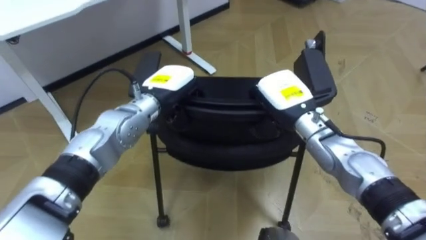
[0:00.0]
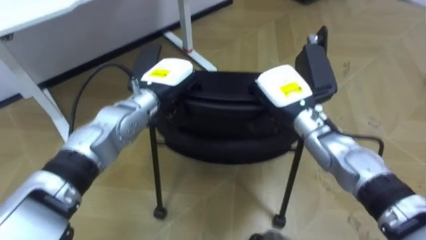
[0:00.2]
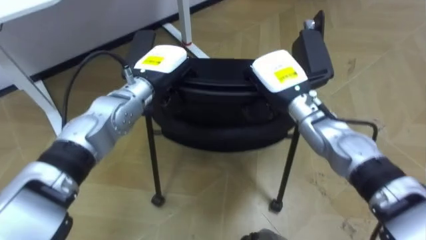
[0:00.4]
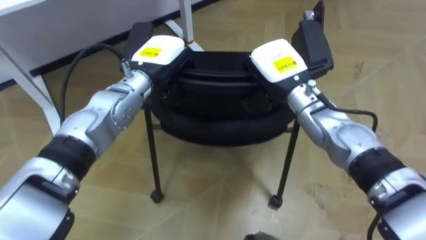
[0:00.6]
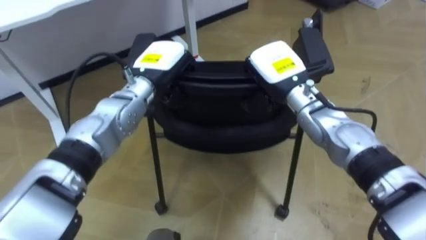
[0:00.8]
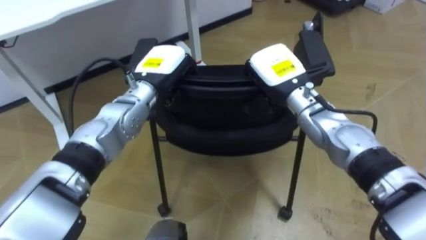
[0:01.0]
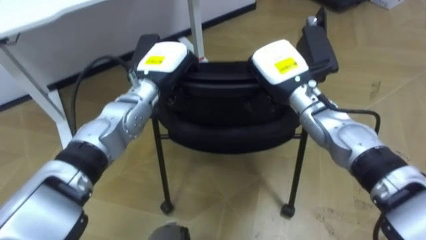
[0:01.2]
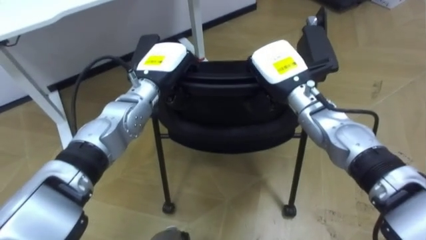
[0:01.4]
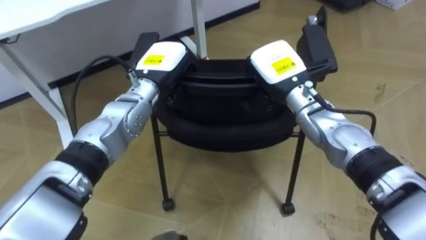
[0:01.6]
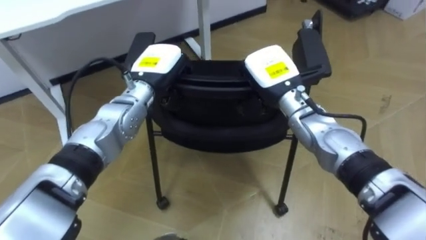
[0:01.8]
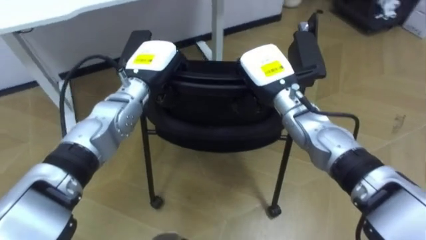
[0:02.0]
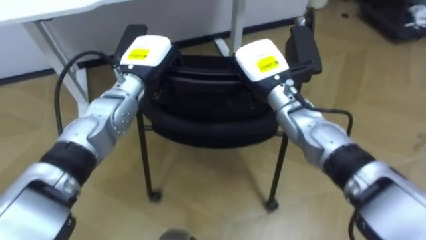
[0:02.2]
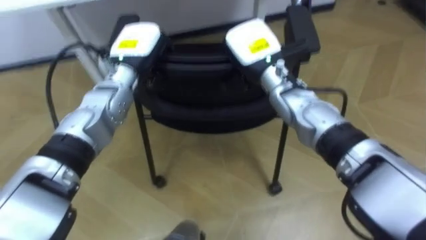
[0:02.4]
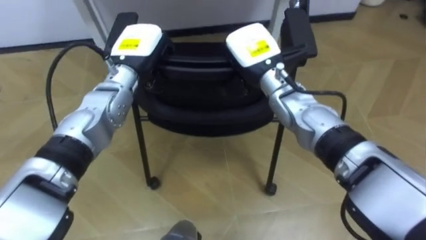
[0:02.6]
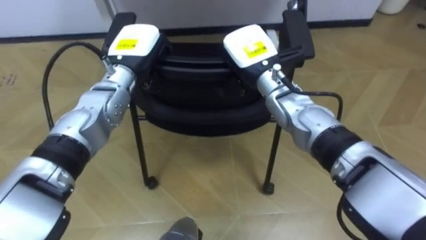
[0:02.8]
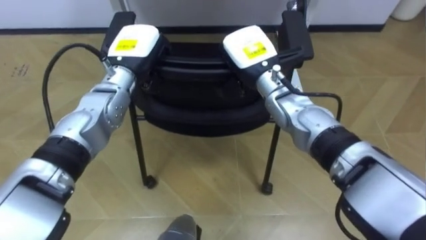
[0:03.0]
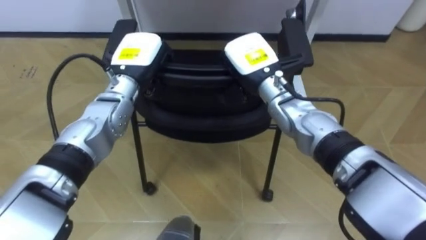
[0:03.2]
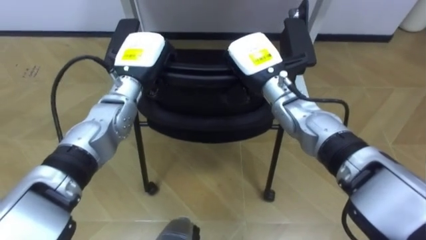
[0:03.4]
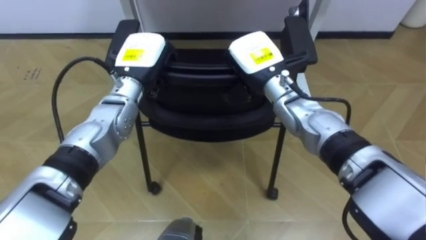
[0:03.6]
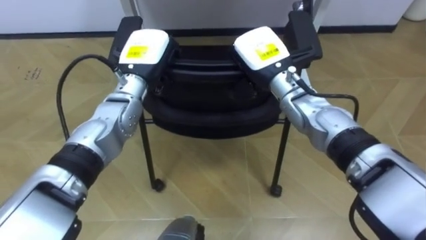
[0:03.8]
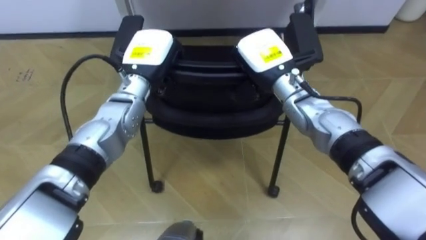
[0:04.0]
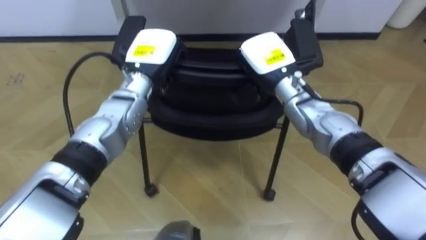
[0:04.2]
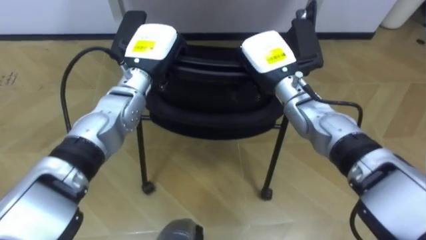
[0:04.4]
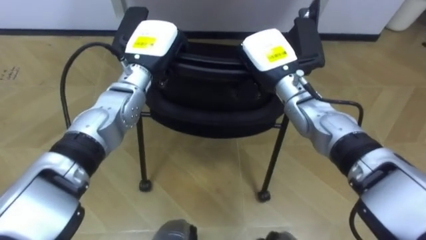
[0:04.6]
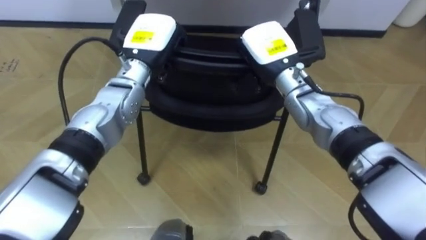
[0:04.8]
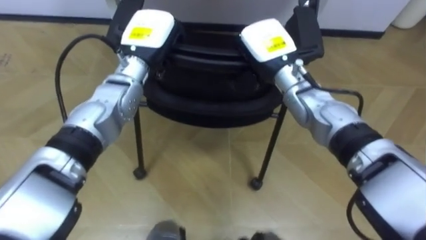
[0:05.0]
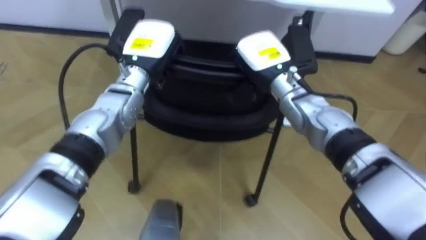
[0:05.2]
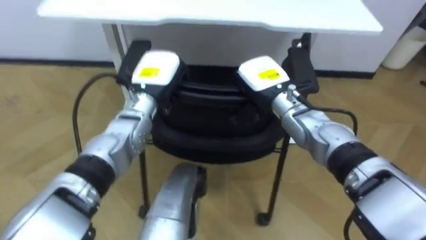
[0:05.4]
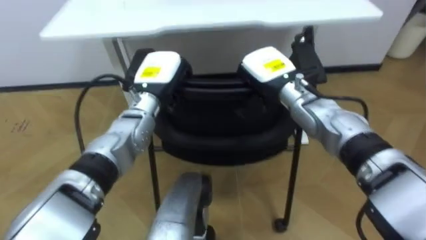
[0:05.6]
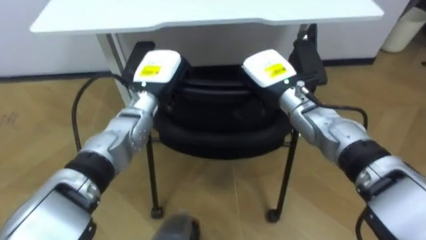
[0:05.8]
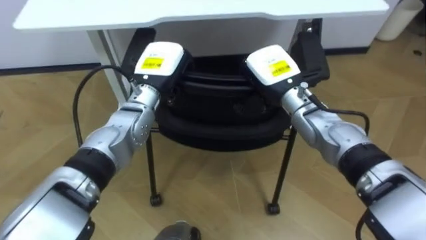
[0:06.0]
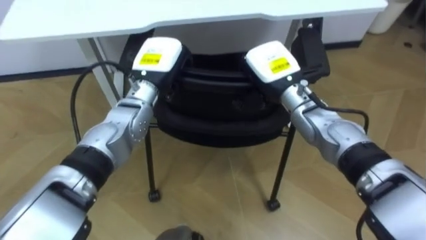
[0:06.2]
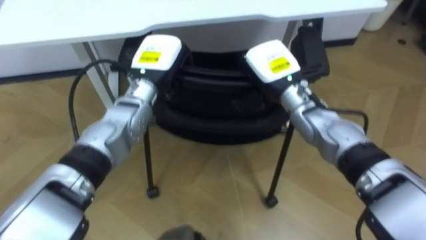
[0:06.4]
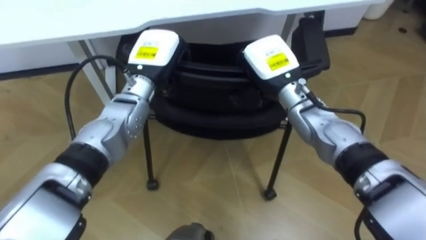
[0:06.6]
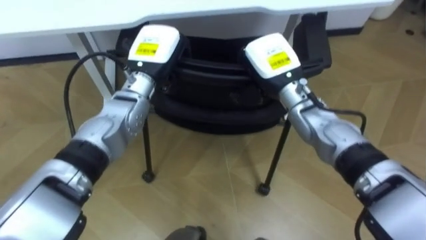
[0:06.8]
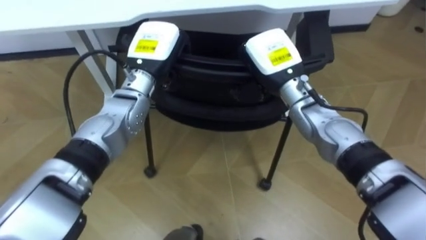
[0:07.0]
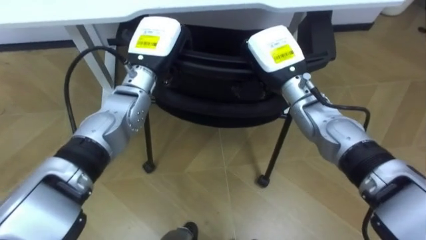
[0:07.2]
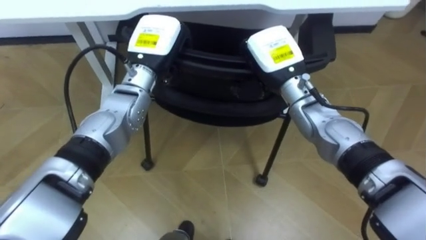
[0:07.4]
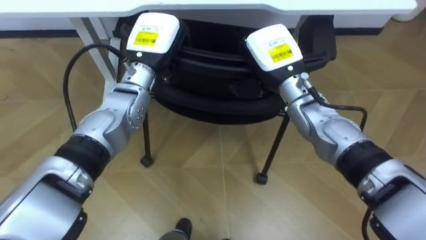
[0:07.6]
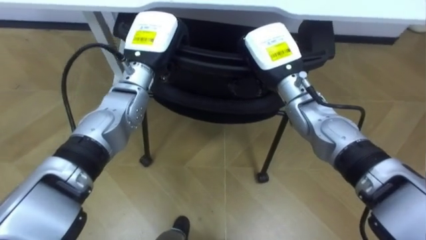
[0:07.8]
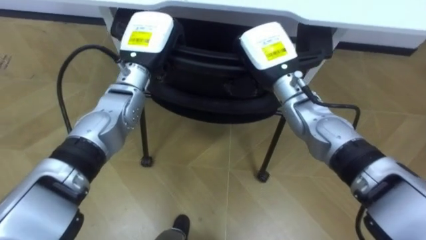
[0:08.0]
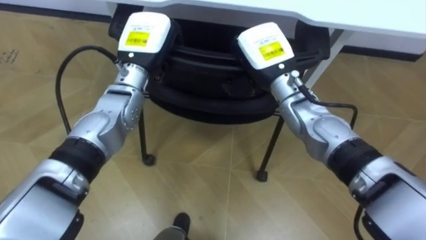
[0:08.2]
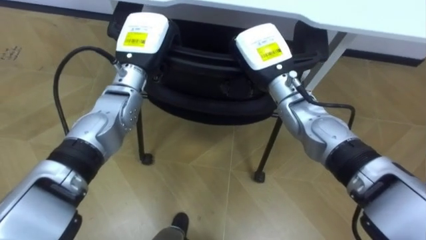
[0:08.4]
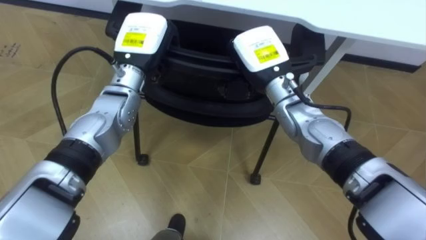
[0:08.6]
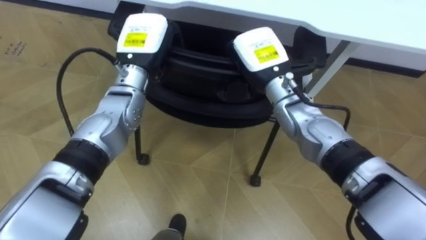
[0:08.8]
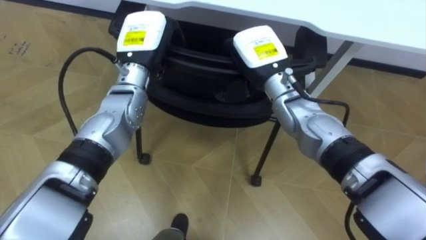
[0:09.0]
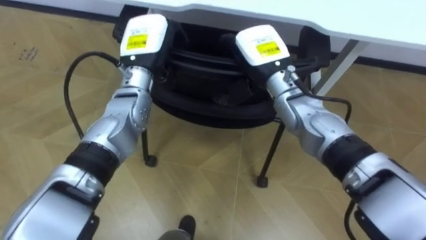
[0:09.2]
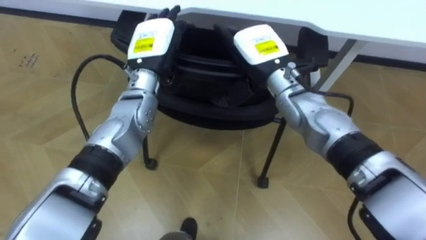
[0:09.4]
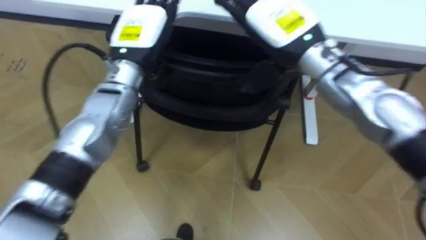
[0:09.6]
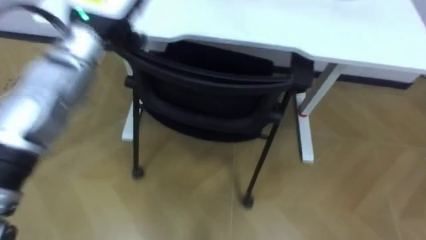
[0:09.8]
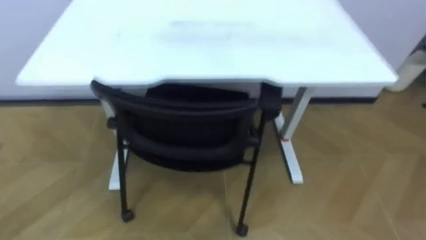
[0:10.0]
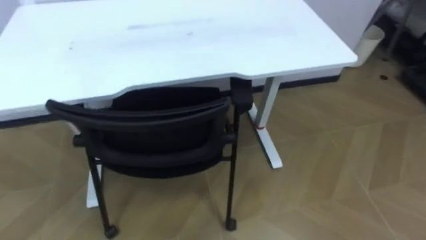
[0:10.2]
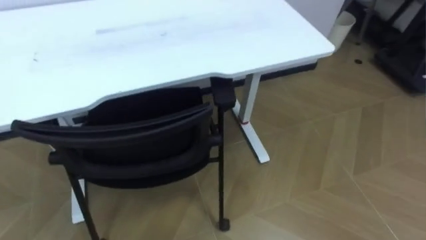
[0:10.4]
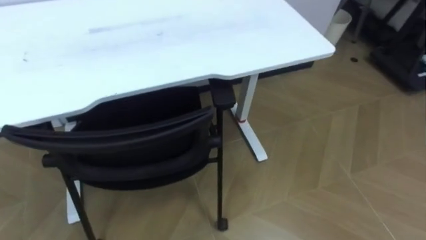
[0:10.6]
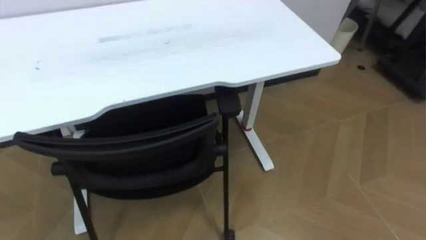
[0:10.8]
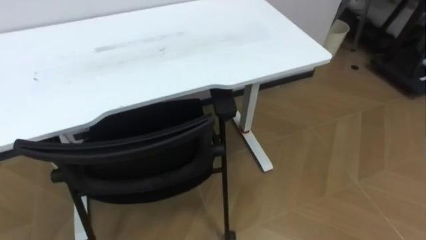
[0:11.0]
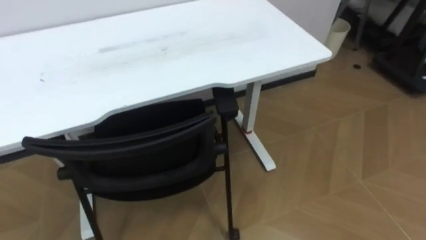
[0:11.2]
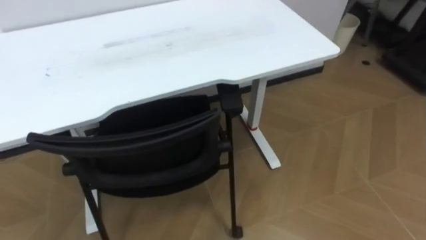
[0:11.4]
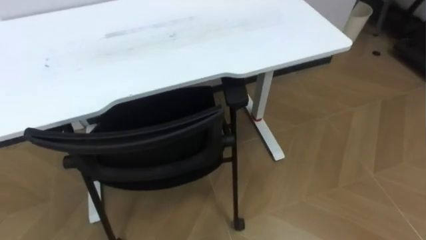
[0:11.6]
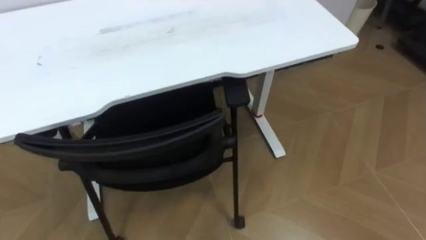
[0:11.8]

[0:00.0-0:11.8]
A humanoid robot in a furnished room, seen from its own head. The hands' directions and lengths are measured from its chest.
Task of the whole recording: Push the chair under the table.
0:00.0 to 0:01.4: The right hand shifts by roughly 5 cm.
0:01.4 to 0:03.0: The right hand is displaced to the left by approximately 5 cm, while the left hand shifts by some 5 cm.

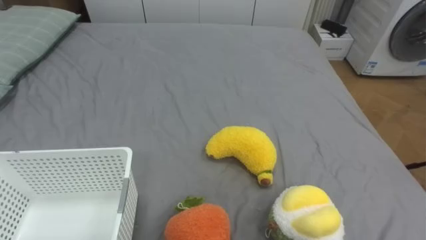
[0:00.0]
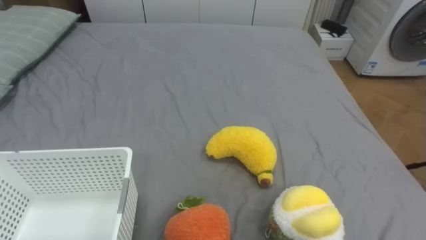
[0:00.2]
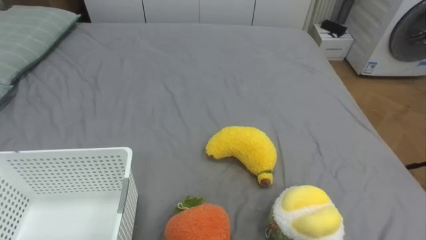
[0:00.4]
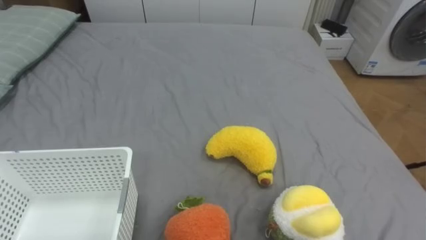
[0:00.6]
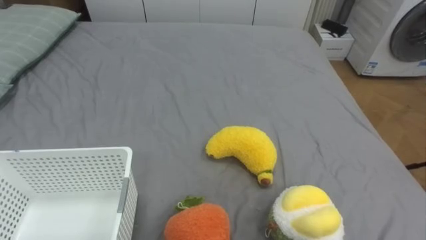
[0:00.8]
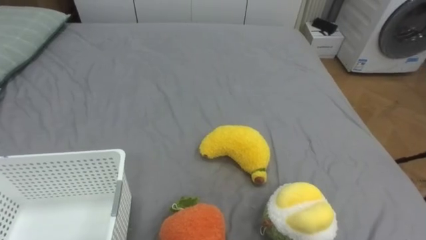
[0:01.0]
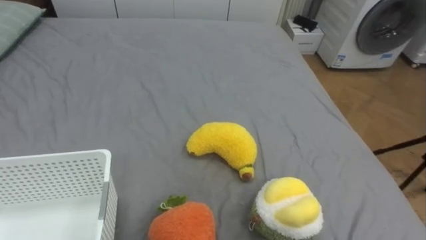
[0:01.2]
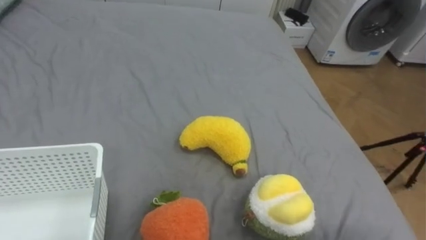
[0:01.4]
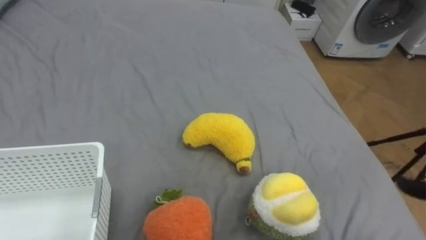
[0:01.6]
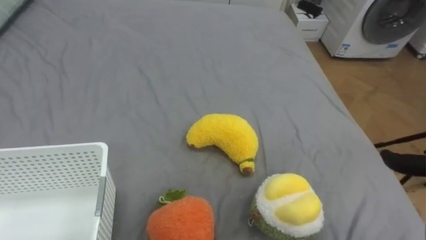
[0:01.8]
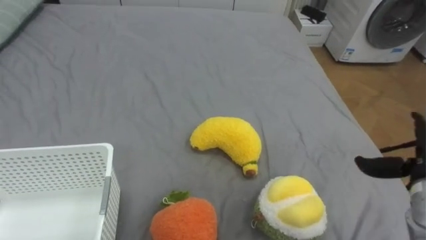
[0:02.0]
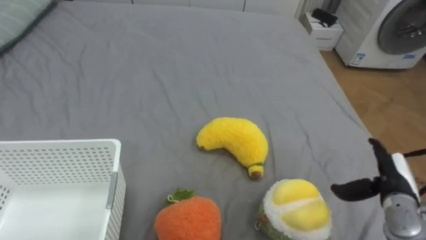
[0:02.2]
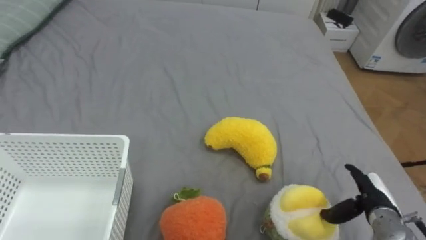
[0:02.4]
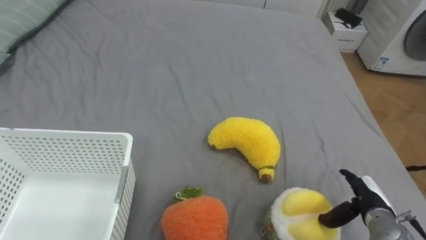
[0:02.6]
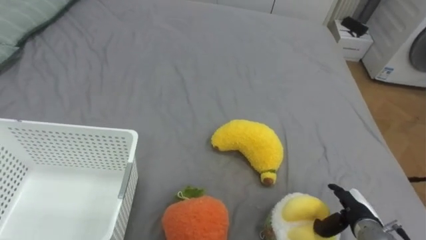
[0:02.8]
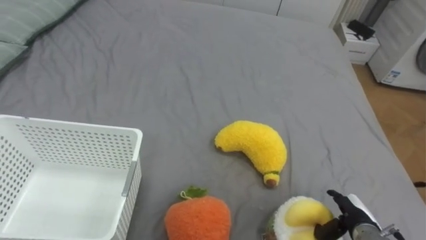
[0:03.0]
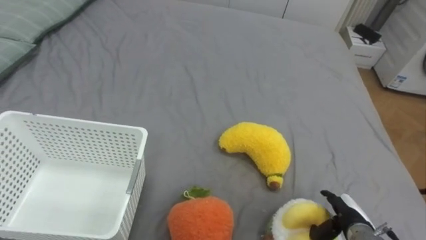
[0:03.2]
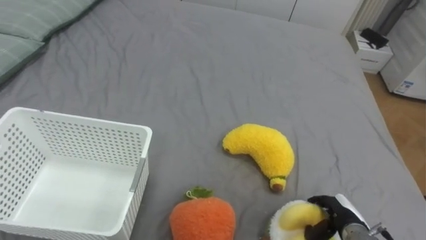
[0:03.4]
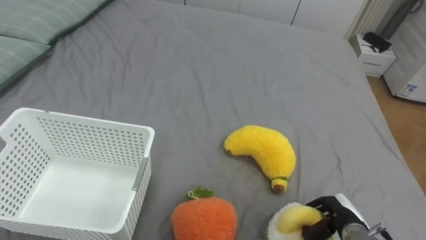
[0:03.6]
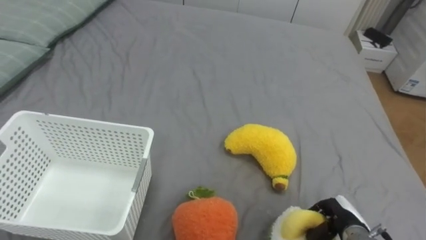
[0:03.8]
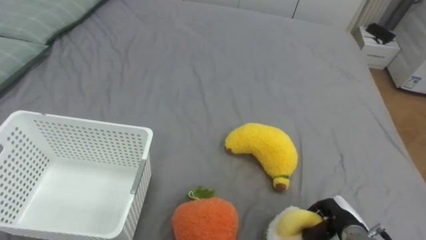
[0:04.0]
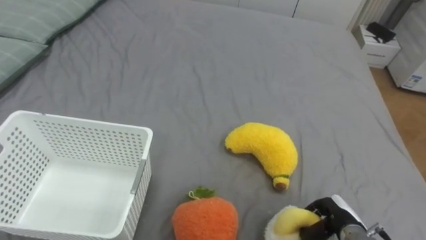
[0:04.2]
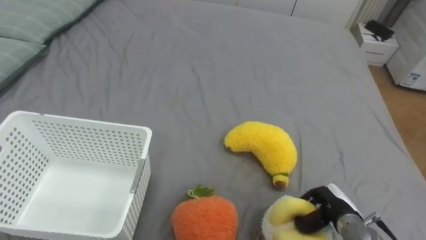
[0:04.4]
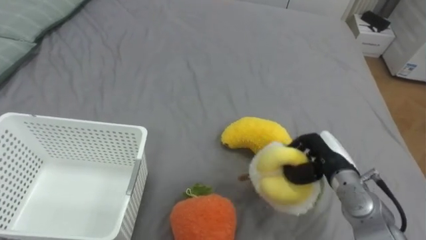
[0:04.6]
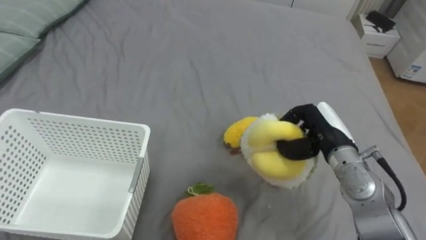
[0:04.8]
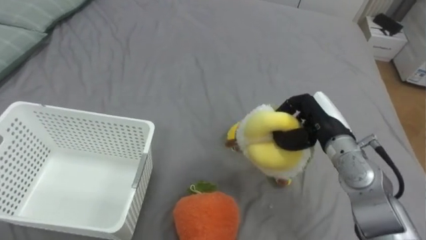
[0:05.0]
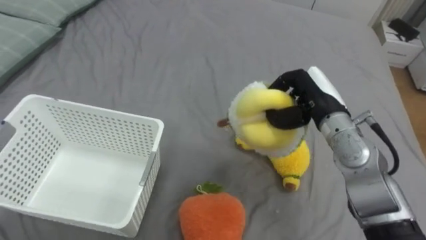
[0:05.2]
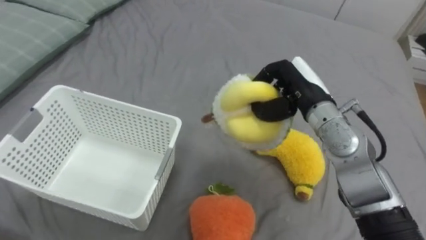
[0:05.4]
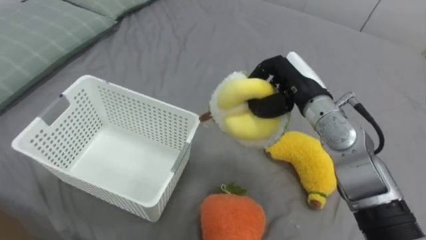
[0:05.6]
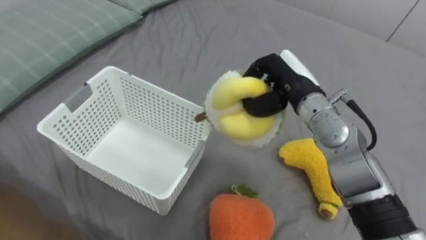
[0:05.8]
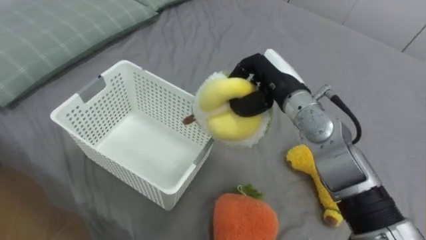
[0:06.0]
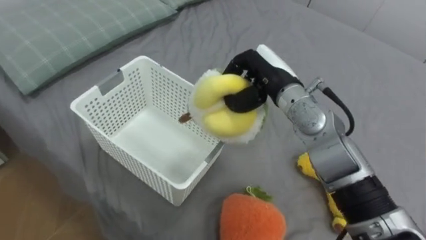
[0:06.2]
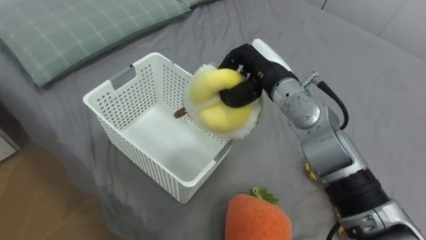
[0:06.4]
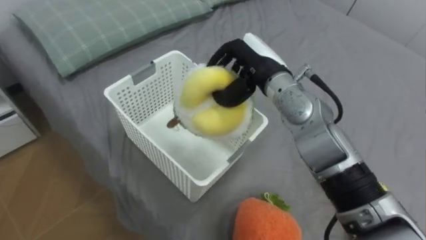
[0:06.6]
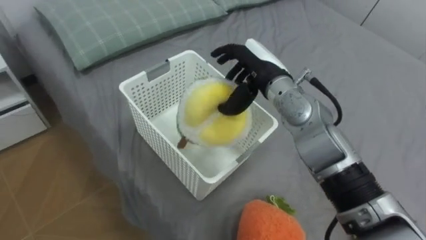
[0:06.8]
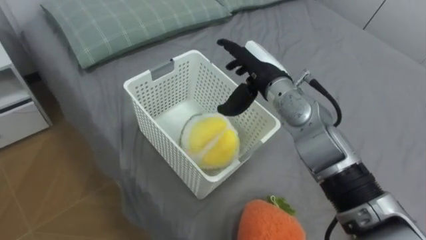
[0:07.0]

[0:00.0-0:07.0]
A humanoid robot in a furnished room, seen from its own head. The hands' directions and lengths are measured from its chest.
Task of the whole recording: Put the toys on the bed into the basket on the left.
0:02.8 to 0:04.2: The right hand closes its fingers.
0:04.2 to 0:05.6: The right hand moves upward, forward and to the left, approximately 30 cm.
0:05.6 to 0:07.0: The right hand is displaced to the left by some 5 cm, and opens up.
